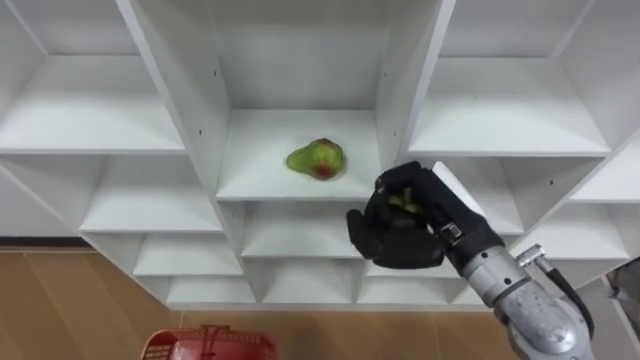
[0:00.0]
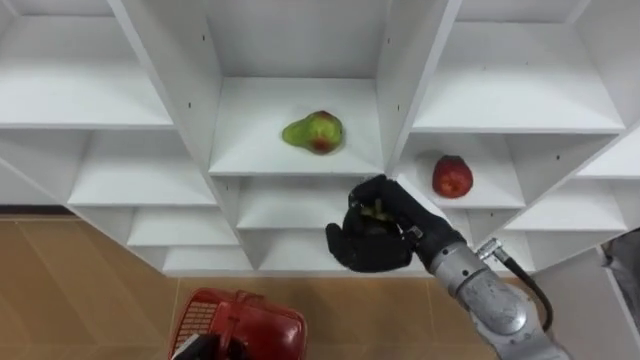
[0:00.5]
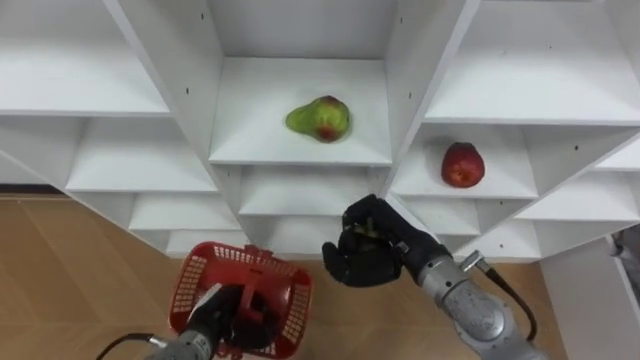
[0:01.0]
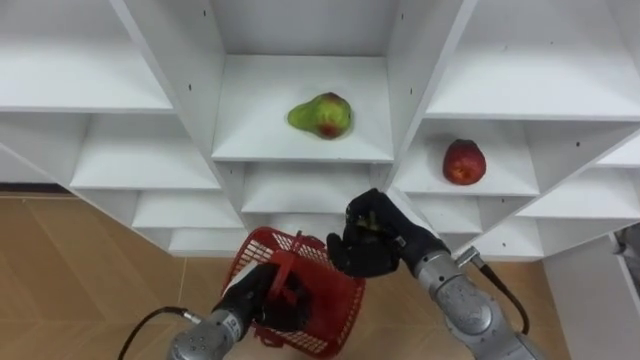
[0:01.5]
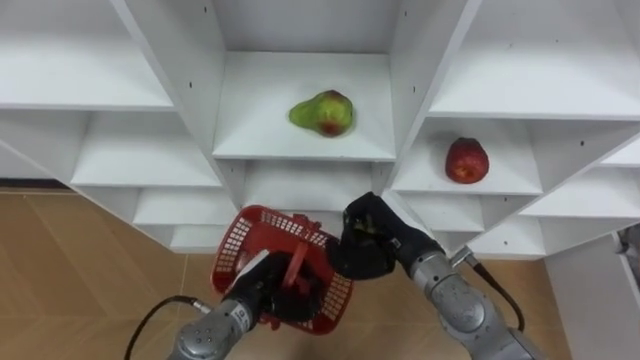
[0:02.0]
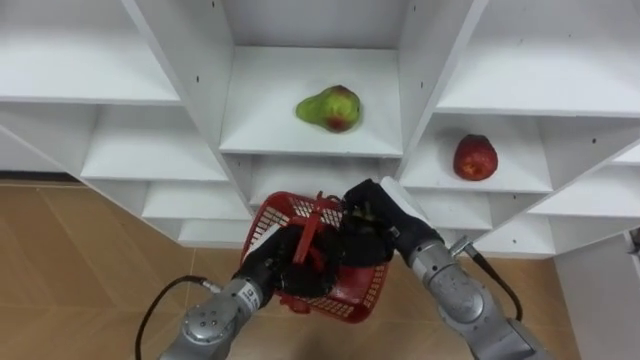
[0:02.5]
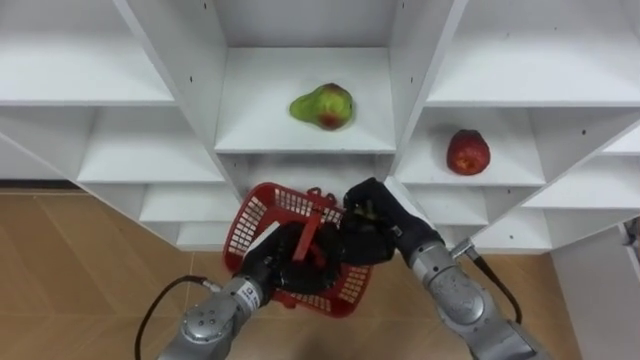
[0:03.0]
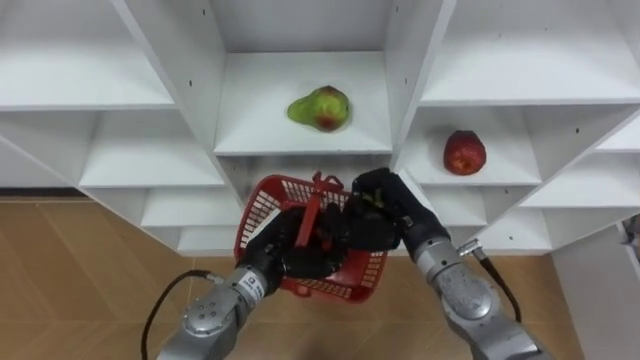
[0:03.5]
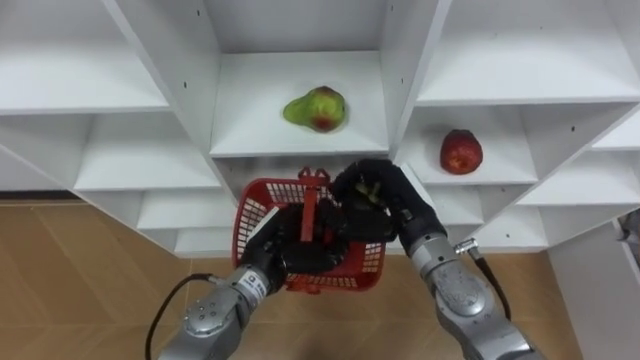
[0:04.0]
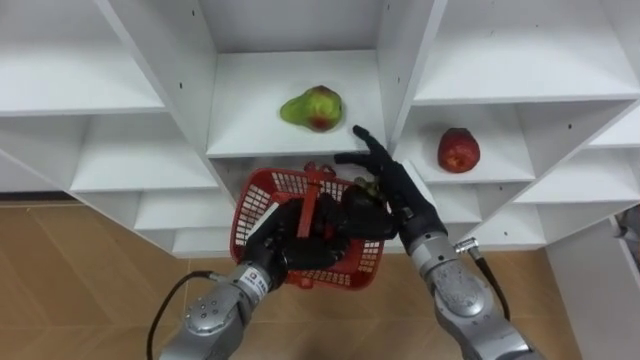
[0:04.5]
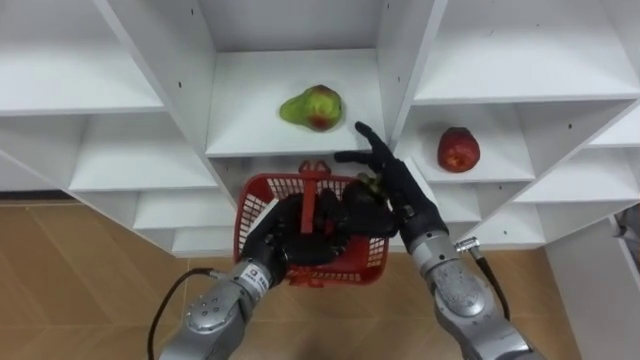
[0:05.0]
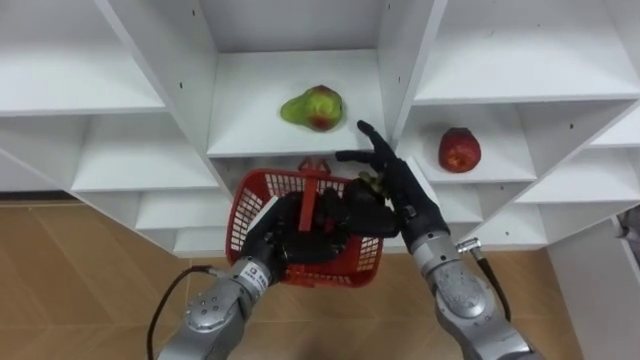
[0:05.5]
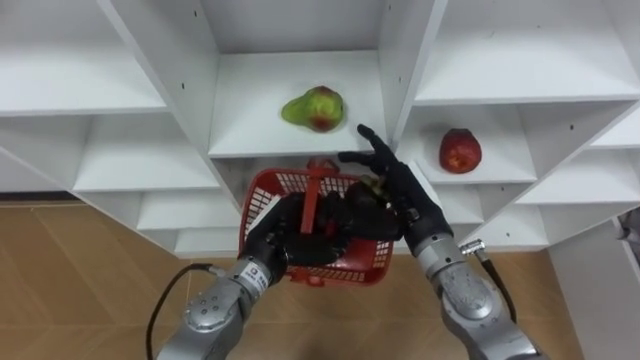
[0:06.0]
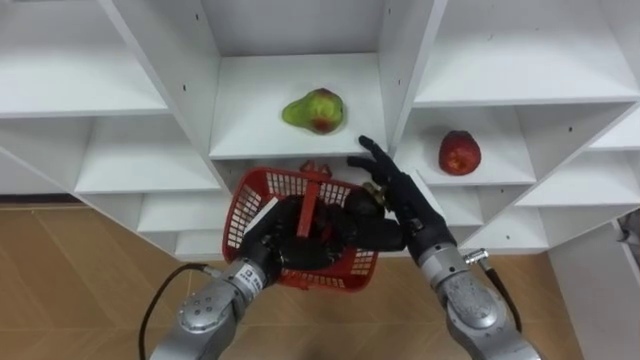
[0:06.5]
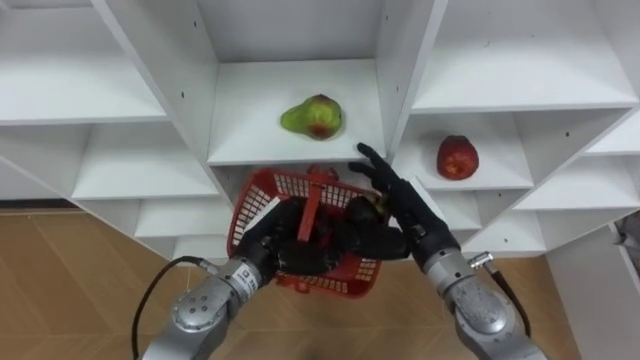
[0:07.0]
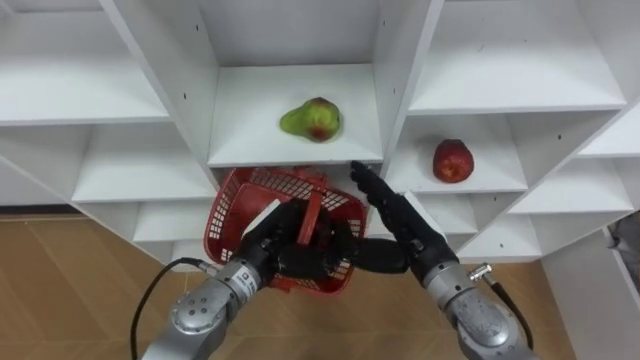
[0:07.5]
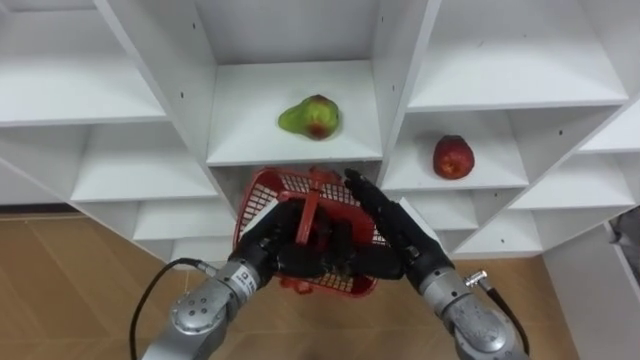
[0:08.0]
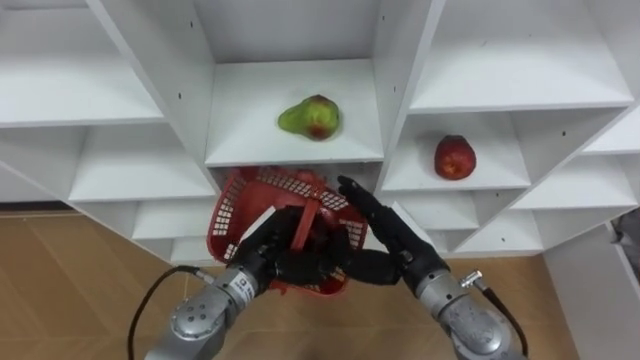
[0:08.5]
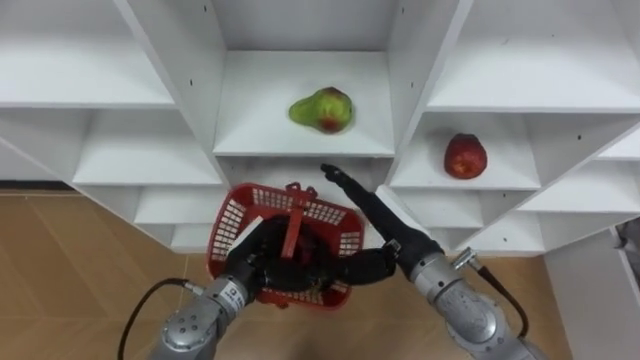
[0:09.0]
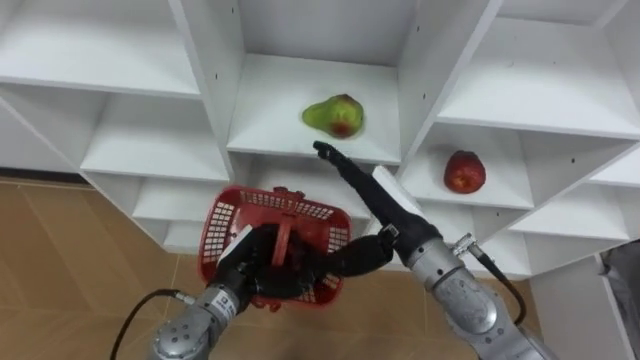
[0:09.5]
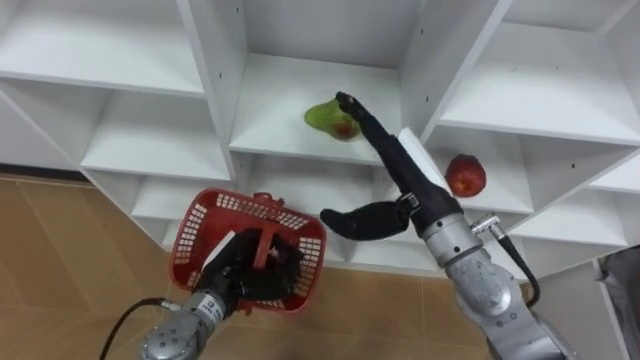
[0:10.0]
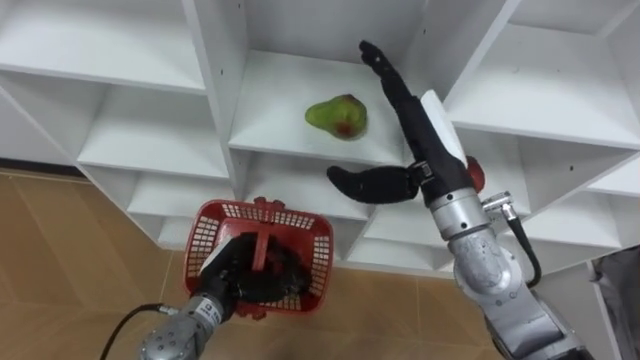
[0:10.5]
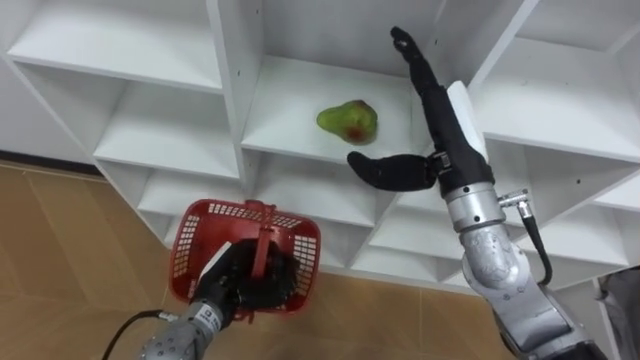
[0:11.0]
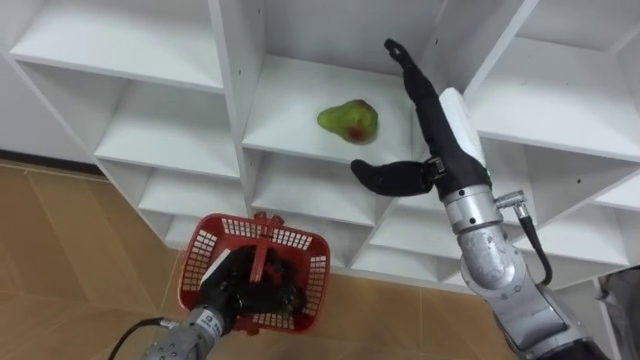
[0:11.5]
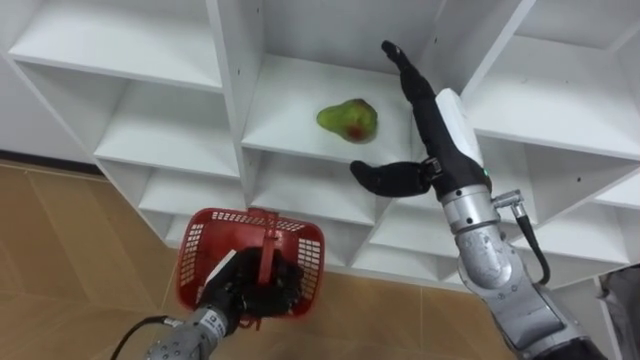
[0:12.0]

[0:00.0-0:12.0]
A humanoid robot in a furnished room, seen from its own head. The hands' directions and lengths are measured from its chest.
Task of the whole recording: Hold the basket and collect the fruits from 3 different cells of the closet into it.
0:00.0 to 0:02.0: The right hand heads downward, covering roughly 10 cm.
0:02.0 to 0:04.0: The left hand heads upward, covering approximately 5 cm, while the right hand opens.
0:04.0 to 0:06.0: The right hand opens.
0:08.0 to 0:10.0: The left hand heads to the left, covering roughly 5 cm; the right hand heads upward, covering roughly 10 cm.
0:10.0 to 0:12.0: The right hand moves roughly 5 cm.

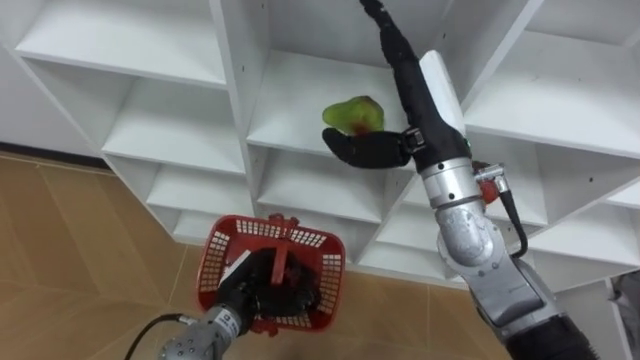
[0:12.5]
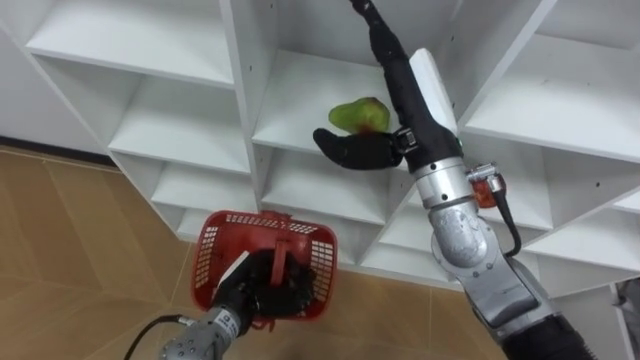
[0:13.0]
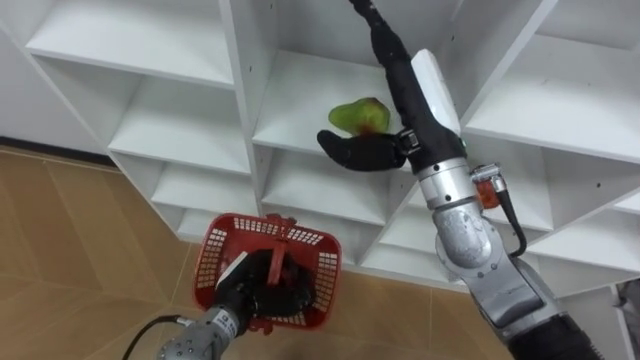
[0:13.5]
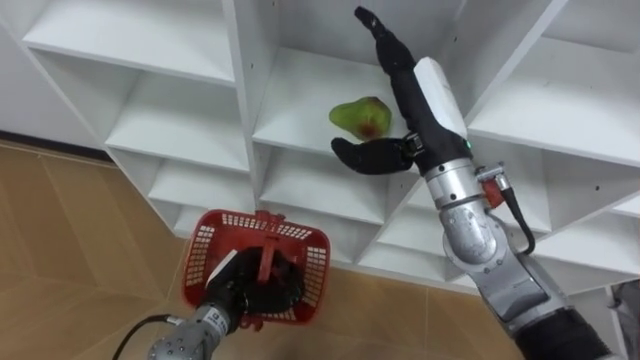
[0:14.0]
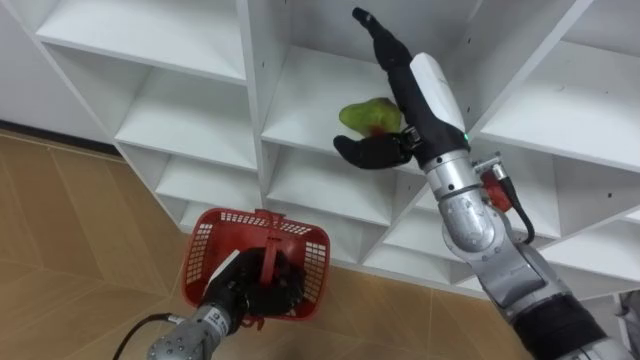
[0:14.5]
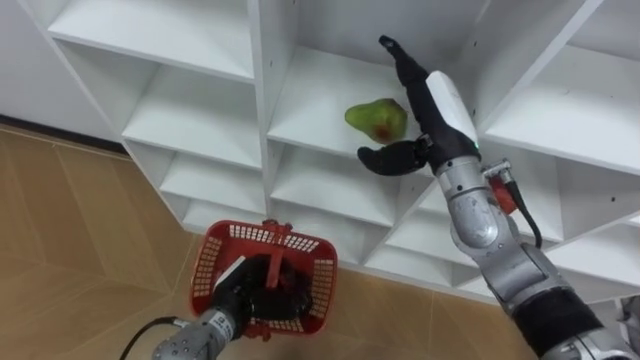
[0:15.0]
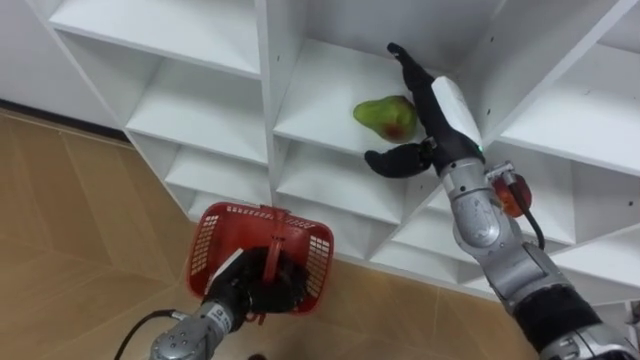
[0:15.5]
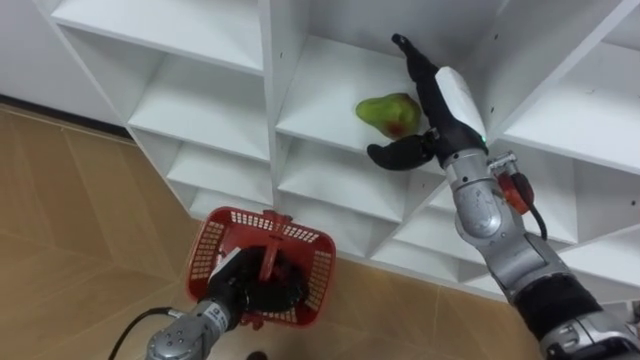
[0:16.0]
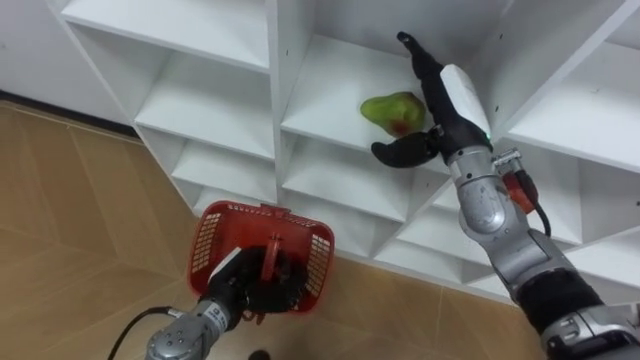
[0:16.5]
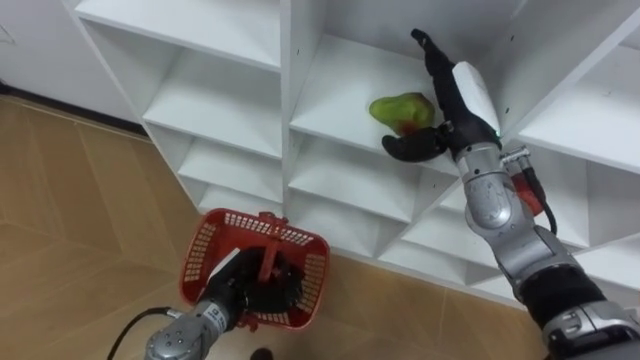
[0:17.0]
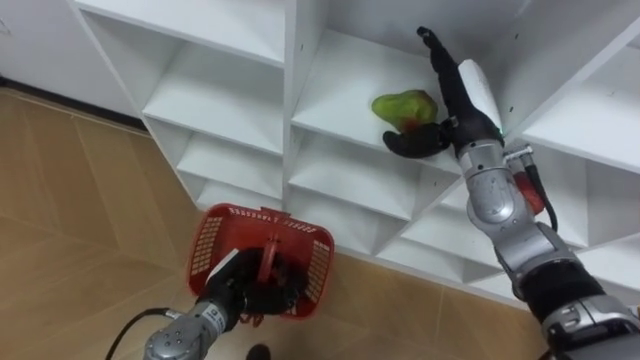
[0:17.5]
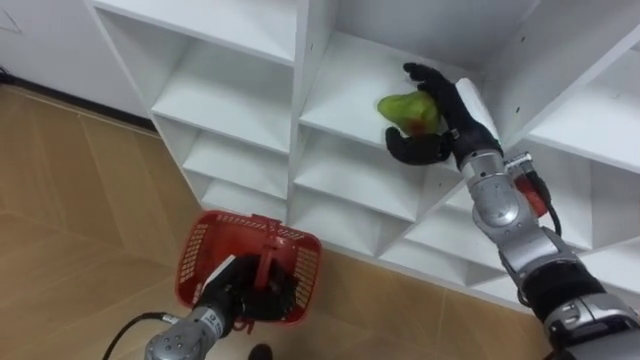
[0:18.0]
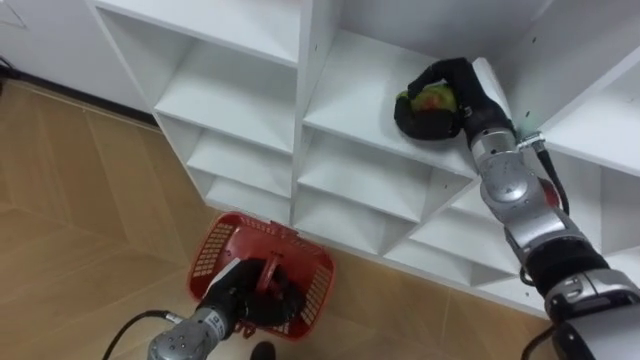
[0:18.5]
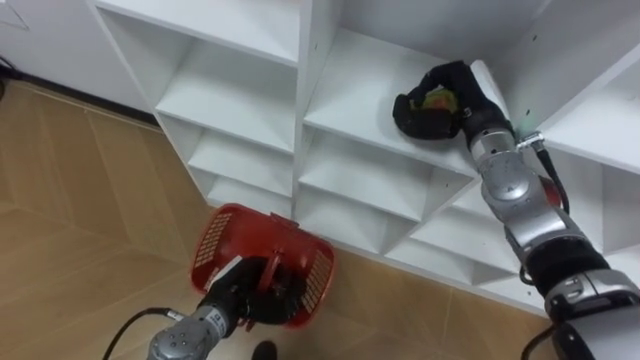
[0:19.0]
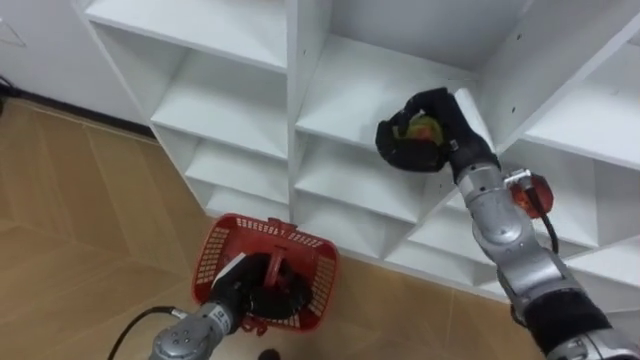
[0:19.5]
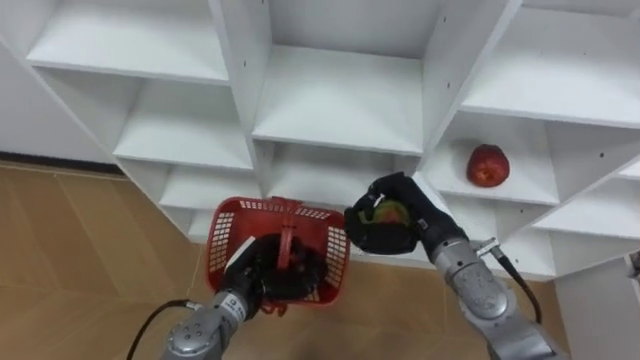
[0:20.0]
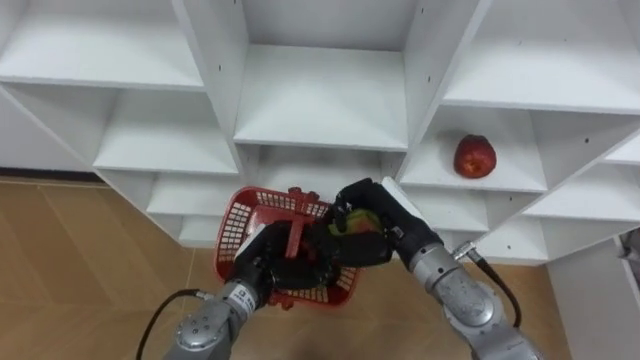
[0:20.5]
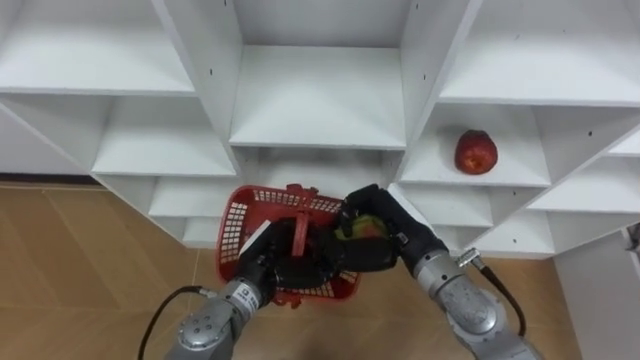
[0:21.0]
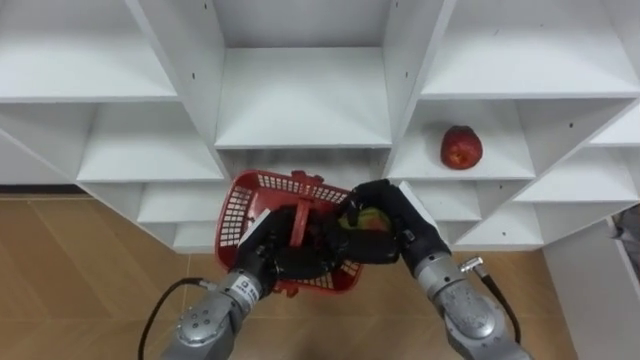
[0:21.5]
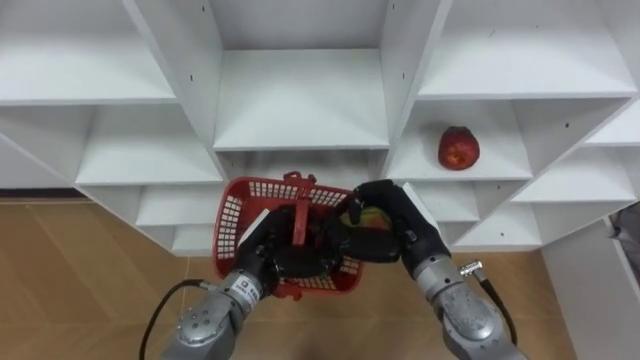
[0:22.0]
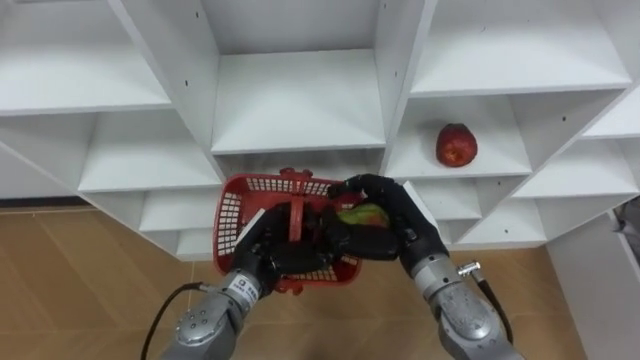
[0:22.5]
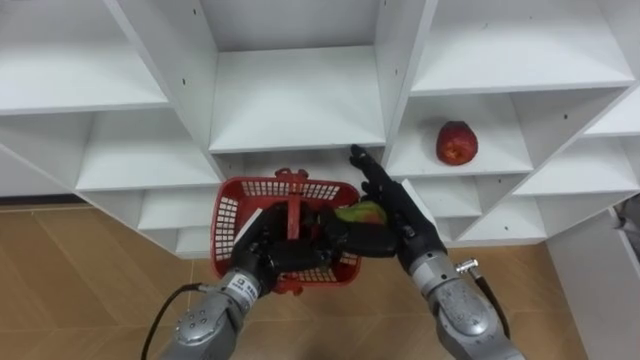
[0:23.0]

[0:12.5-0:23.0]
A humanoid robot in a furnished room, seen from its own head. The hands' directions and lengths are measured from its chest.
Task of the whole recording: Hold the basket and collect the fruits from 3 different cells of the closet into it.
0:14.5 to 0:16.5: The right hand ends up roughly 5 cm from where it was.
0:16.5 to 0:19.0: The right hand closes its fingers.
0:19.0 to 0:21.0: The left hand shifts some 5 cm upward and to the right; the right hand shifts about 15 cm backward, to the left and downward.
0:21.0 to 0:23.0: The right hand opens its fingers.
